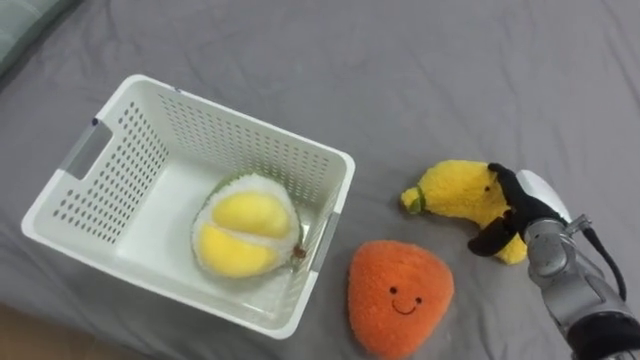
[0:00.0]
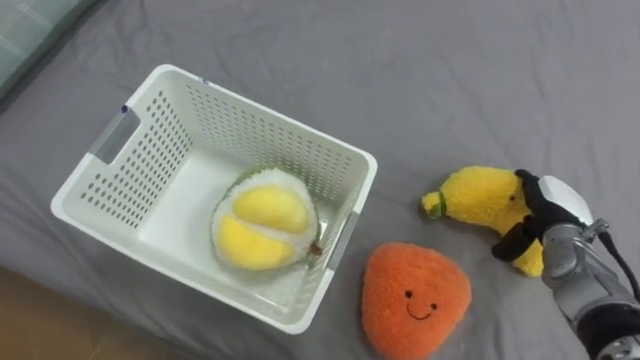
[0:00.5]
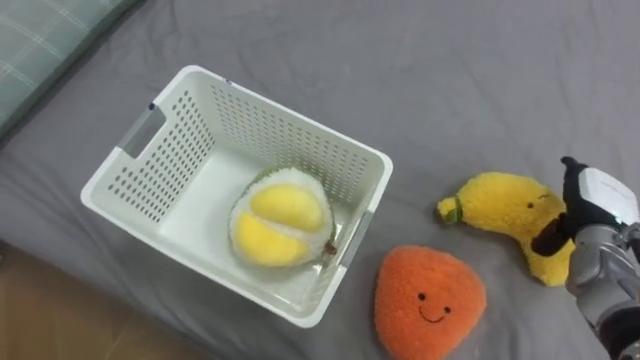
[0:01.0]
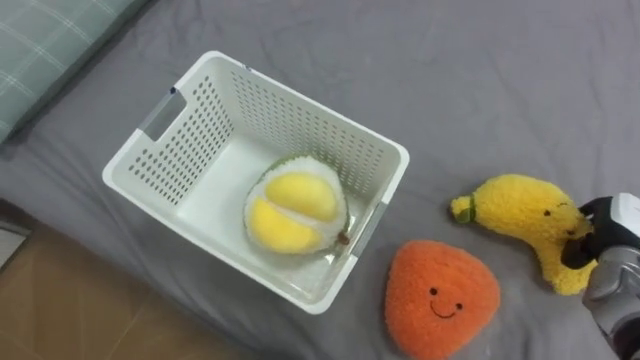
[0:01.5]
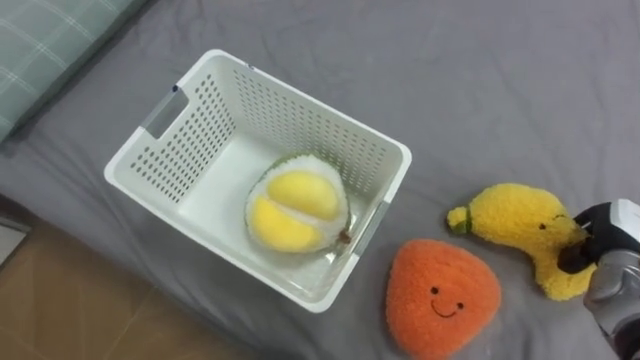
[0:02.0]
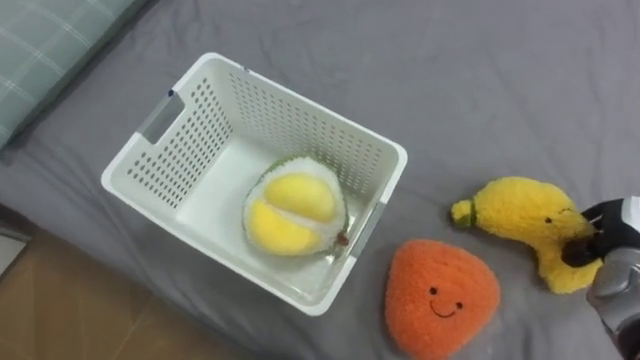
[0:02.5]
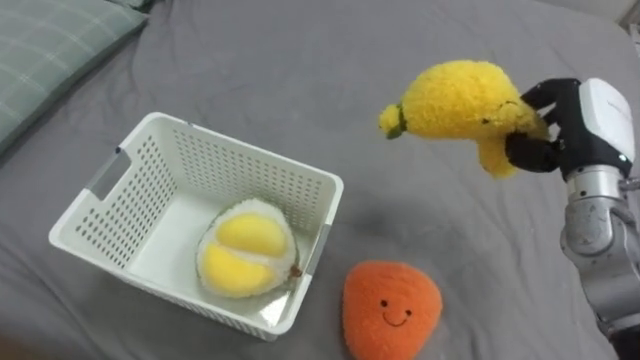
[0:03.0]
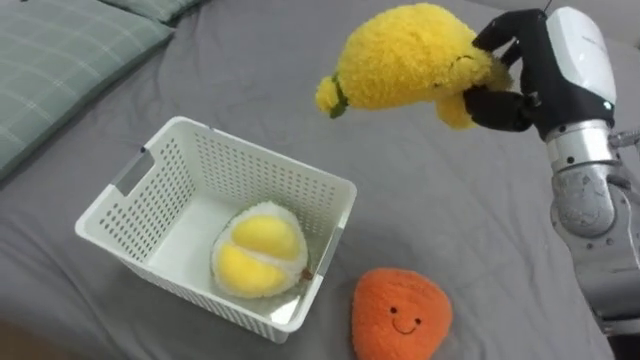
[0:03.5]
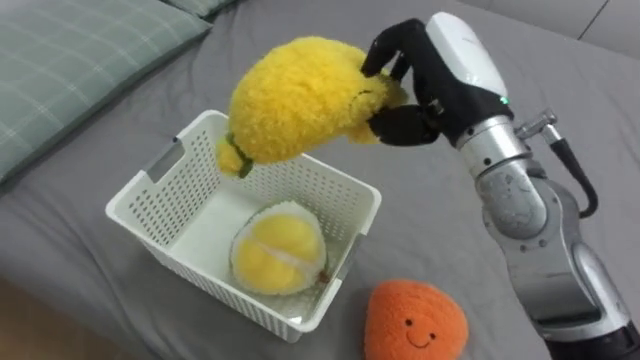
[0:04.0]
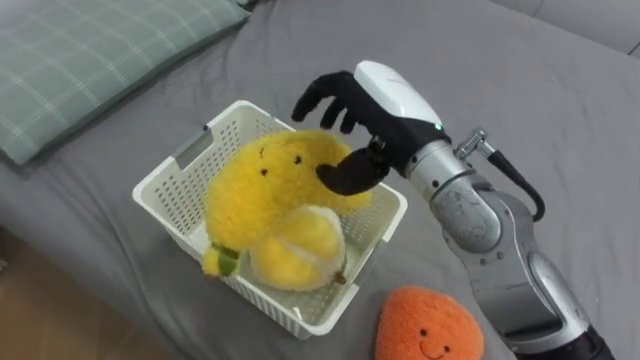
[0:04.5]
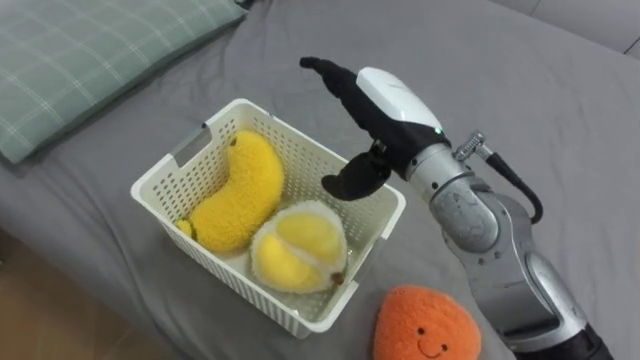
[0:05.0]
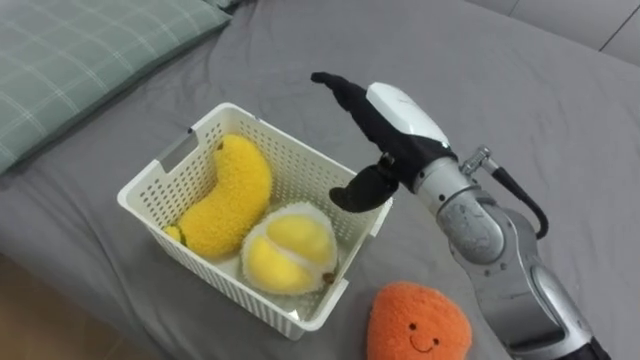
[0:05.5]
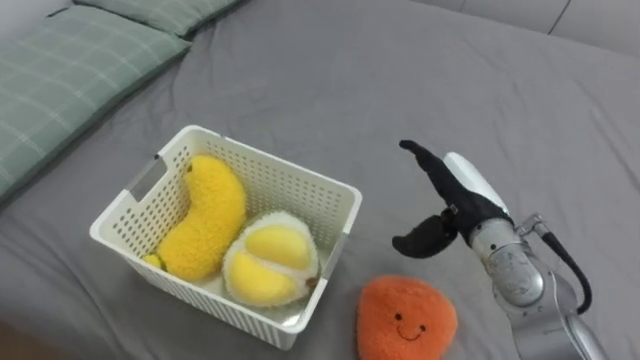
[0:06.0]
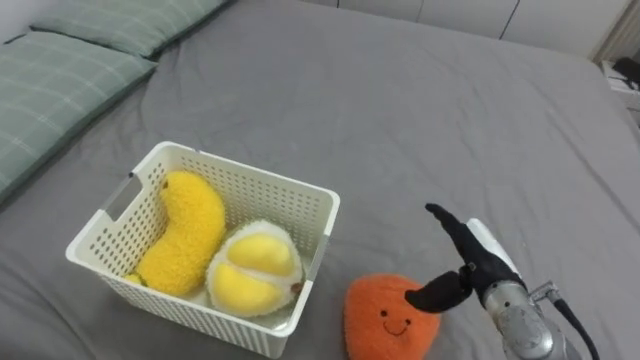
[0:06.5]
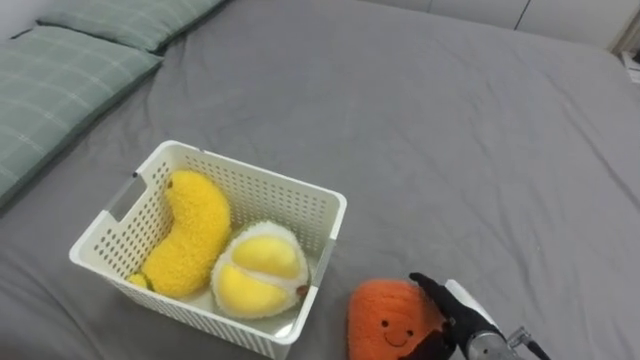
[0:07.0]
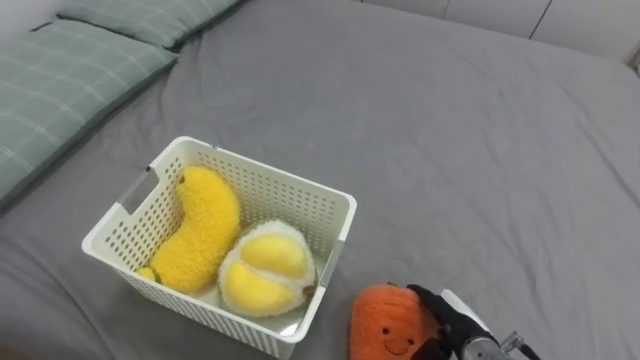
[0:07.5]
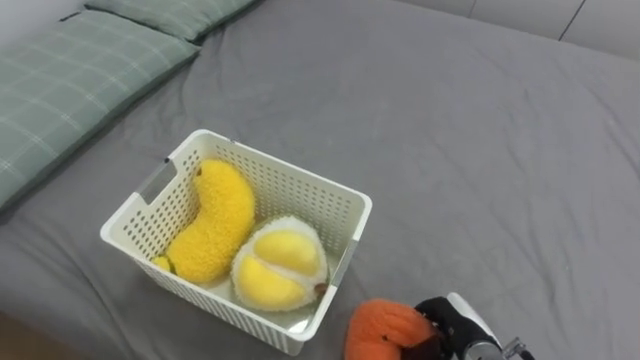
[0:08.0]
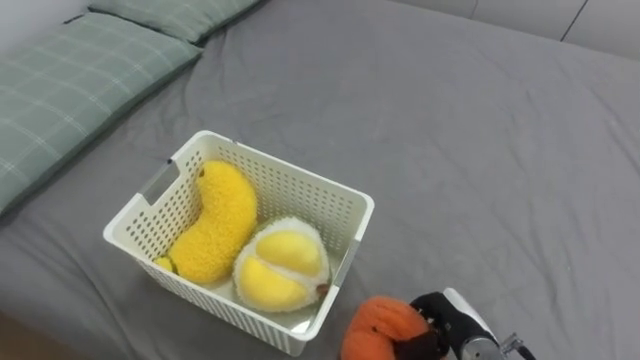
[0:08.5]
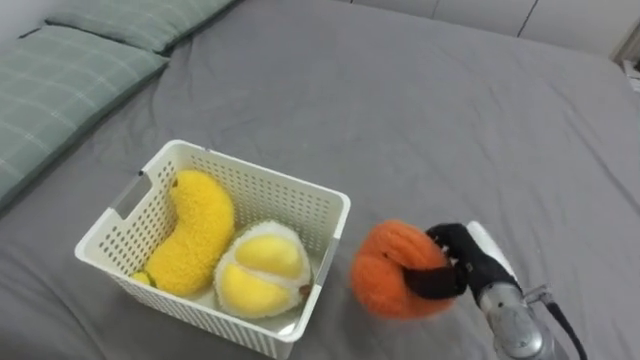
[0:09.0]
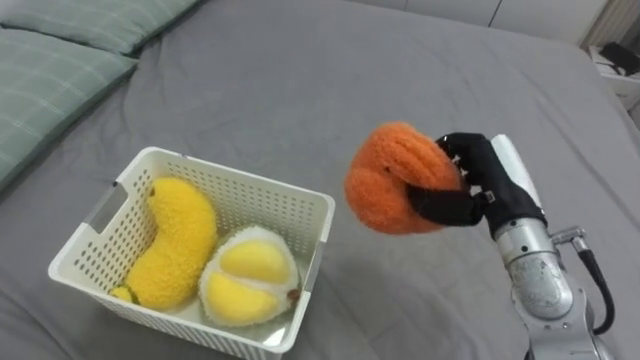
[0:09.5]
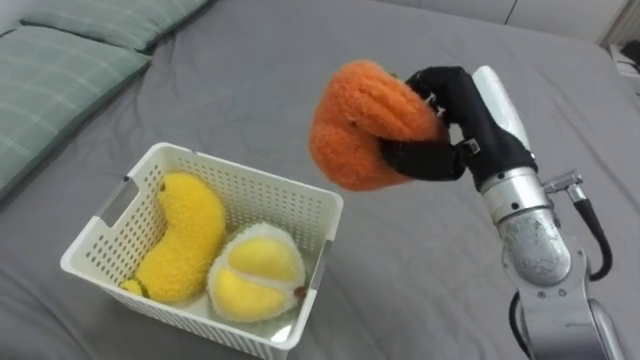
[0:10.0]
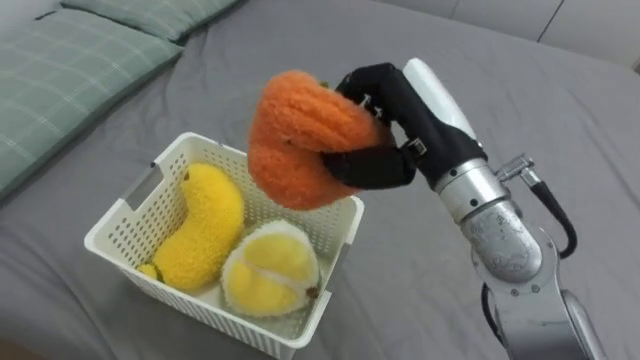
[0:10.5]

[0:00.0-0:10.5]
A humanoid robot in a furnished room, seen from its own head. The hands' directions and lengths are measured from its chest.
Task of the whole recording: Put the toys on the bed into the basket on the left.
0:00.0 to 0:02.0: The right hand shifts approximately 10 cm to the right, and closes.
0:02.0 to 0:04.0: The right hand travels to the left and upward by some 35 cm.
0:04.0 to 0:06.5: The right hand shifts some 25 cm downward, and opens.
0:06.5 to 0:08.5: The right hand heads downward and backward, covering about 10 cm, and closes.
0:08.5 to 0:10.5: The right hand heads upward, covering some 30 cm.

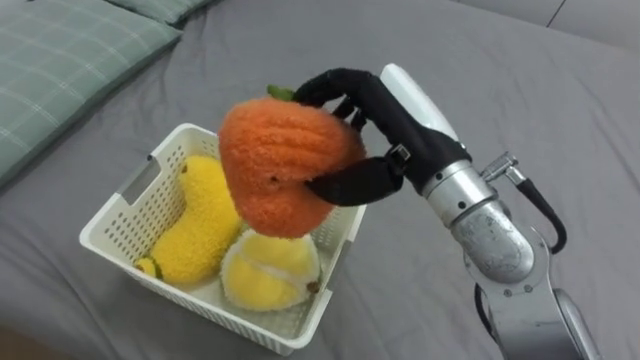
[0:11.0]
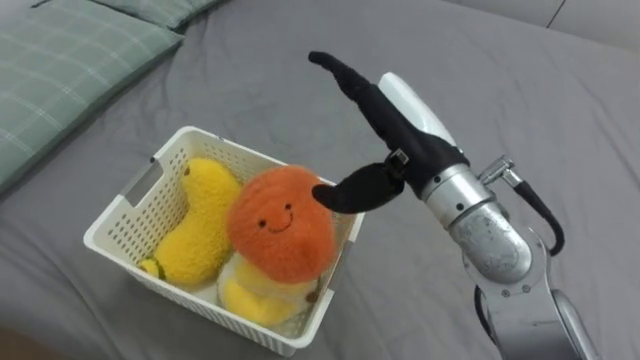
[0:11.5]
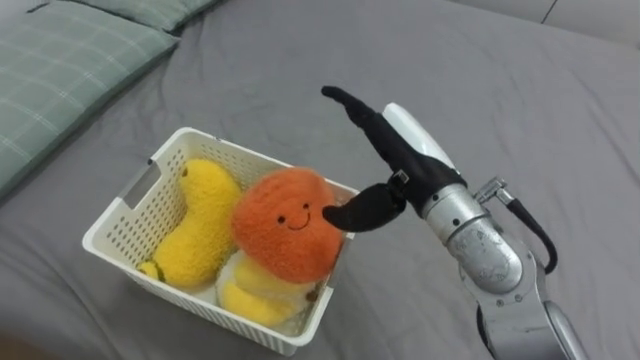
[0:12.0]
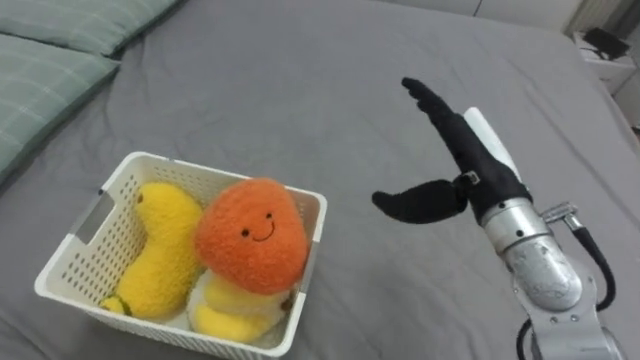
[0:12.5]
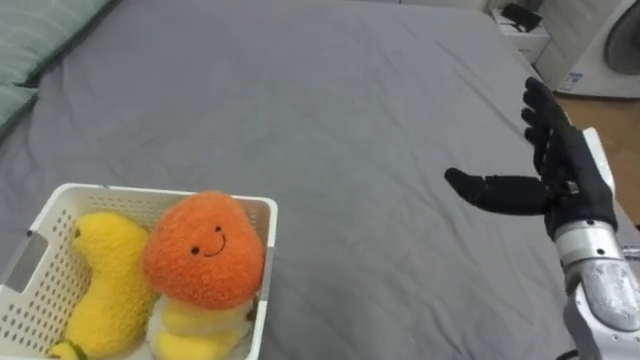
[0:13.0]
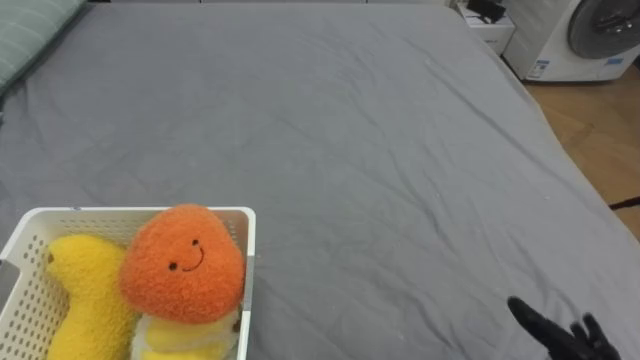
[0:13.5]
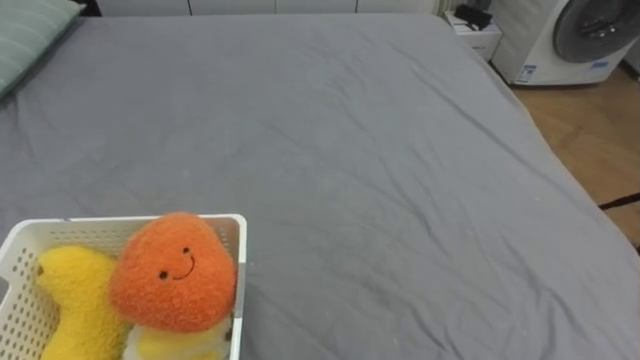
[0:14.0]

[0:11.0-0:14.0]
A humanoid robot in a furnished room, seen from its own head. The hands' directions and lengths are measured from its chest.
Task of the whole recording: Put the toys on the bed into the basket on the left.
0:11.0 to 0:12.5: The right hand shifts roughly 10 cm to the right and downward, and opens up.

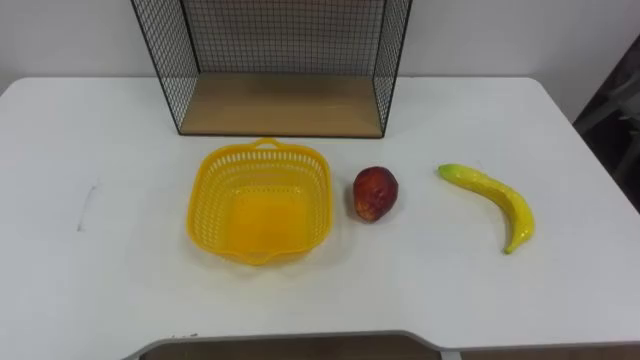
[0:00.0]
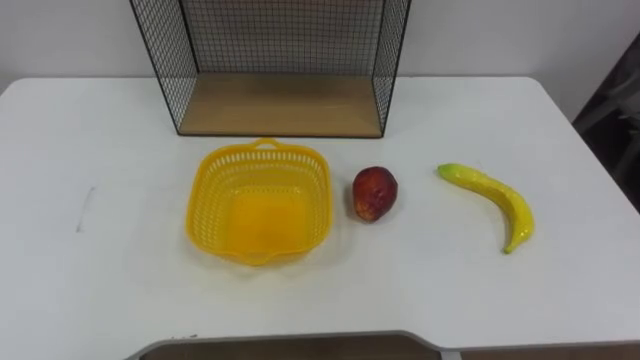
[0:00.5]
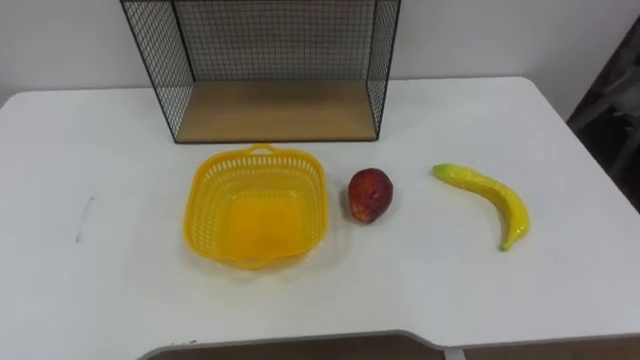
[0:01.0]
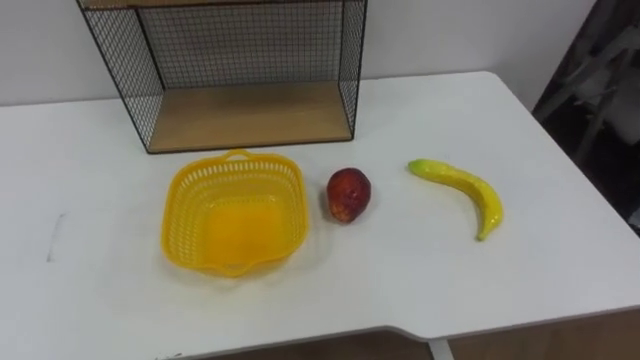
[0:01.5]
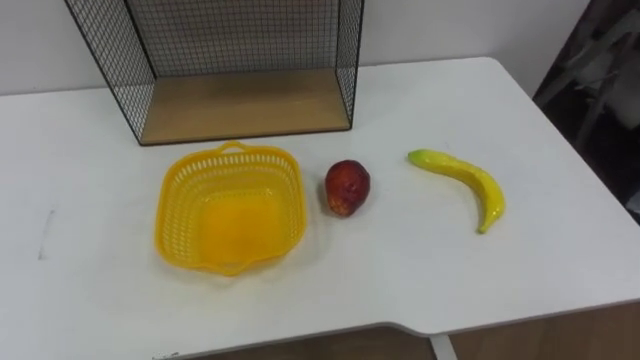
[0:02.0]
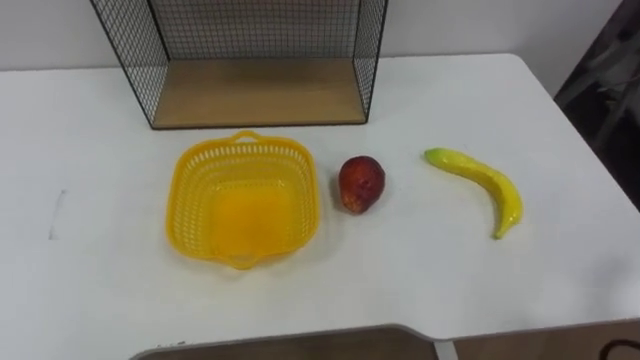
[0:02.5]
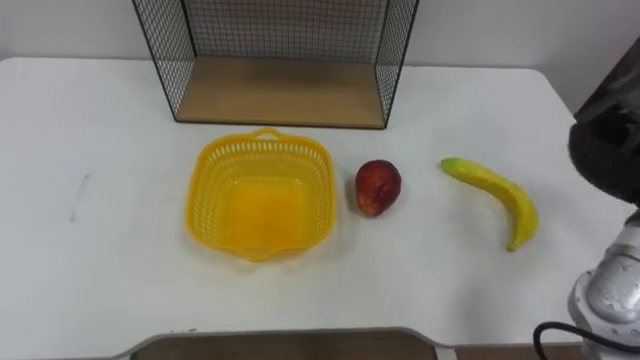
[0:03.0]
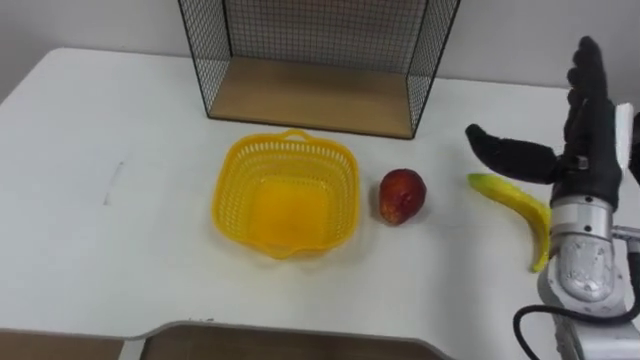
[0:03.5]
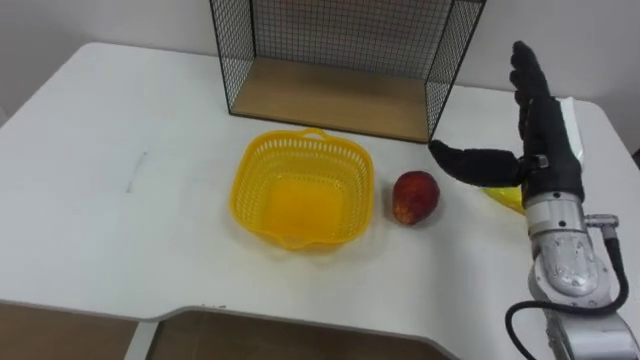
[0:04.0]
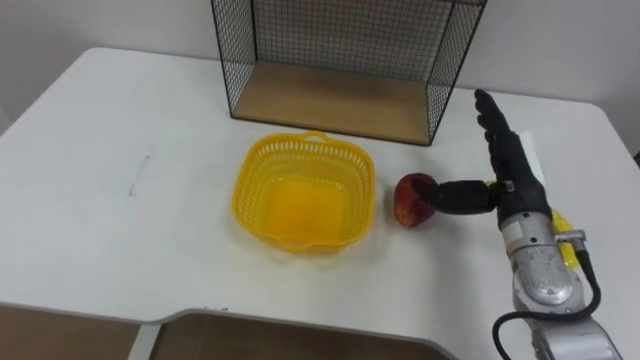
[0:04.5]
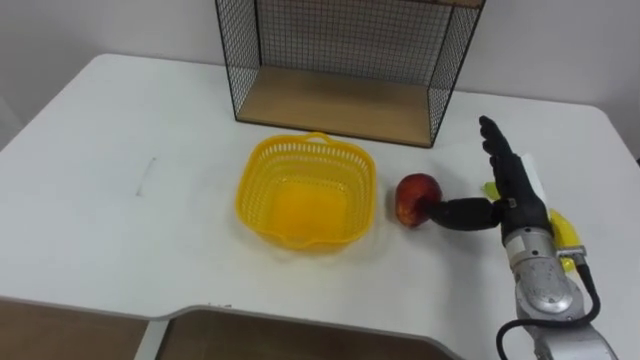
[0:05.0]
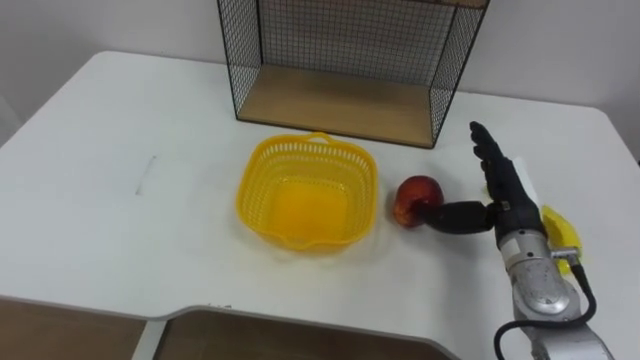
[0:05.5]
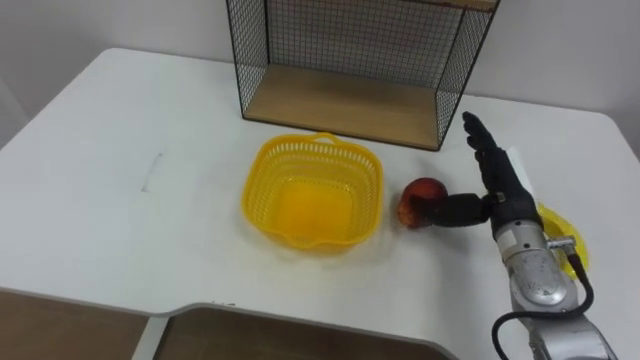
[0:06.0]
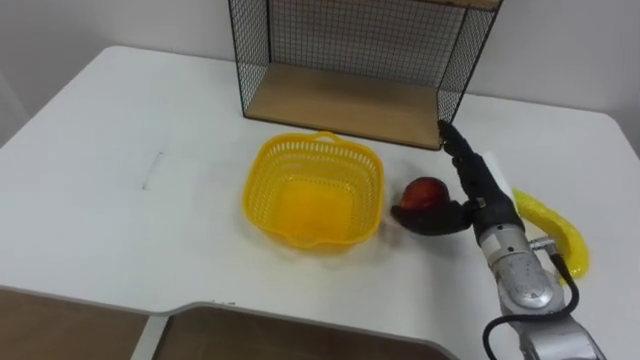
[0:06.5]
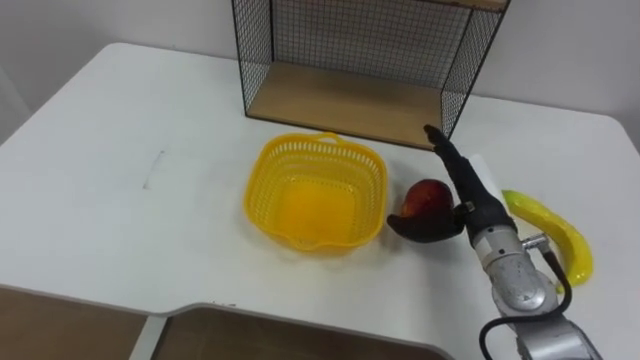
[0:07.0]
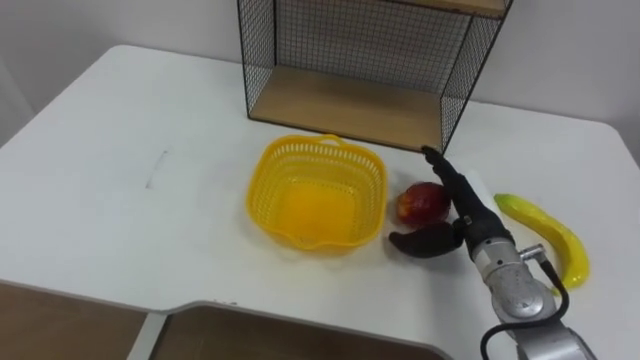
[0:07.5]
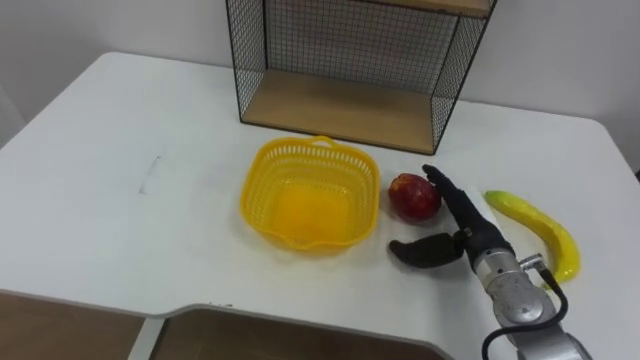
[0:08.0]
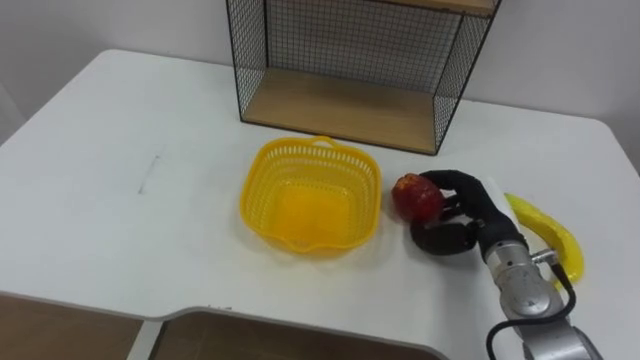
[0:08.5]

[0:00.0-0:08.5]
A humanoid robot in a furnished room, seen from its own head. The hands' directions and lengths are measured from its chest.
Task of the whole recording: Put the fruit on the table into the basket, then place the basket on the shelf.
0:04.0 to 0:06.5: The right hand travels downward by about 10 cm.
0:06.5 to 0:08.5: The right hand closes.
